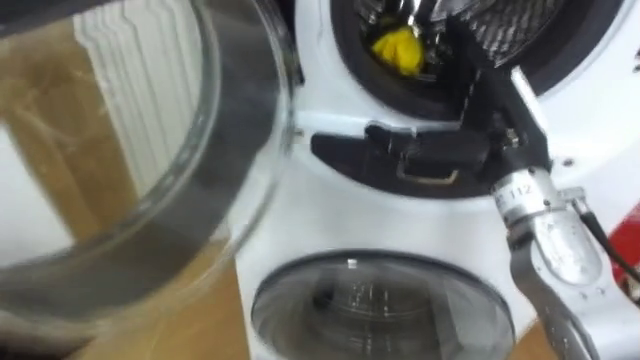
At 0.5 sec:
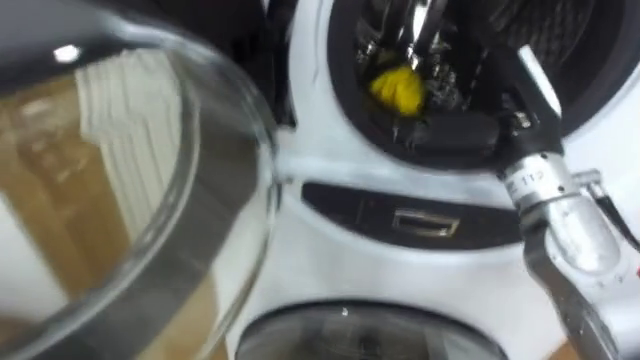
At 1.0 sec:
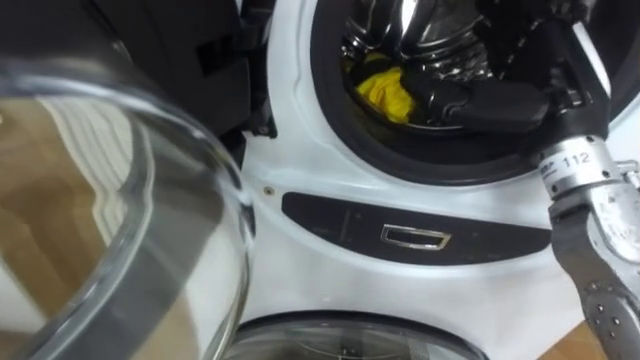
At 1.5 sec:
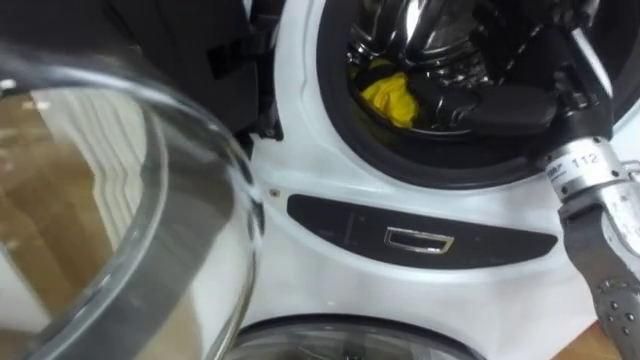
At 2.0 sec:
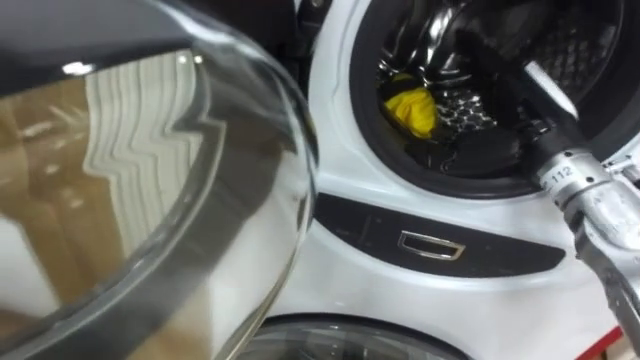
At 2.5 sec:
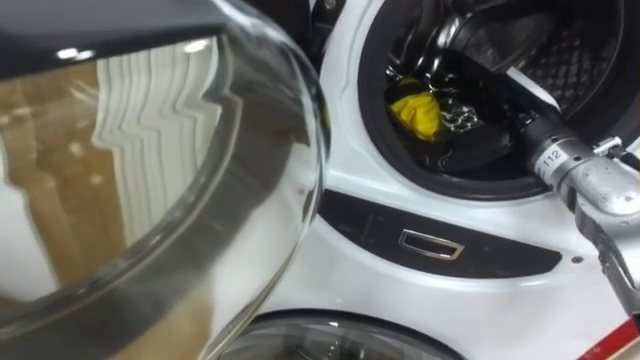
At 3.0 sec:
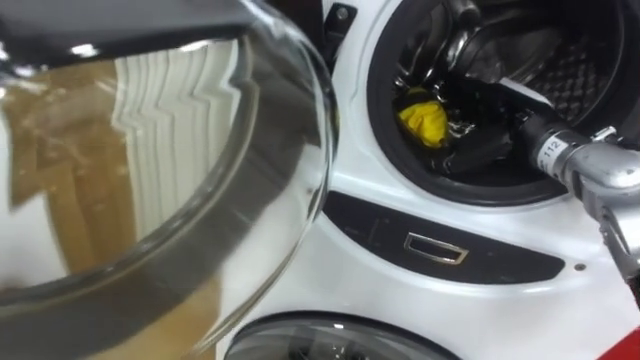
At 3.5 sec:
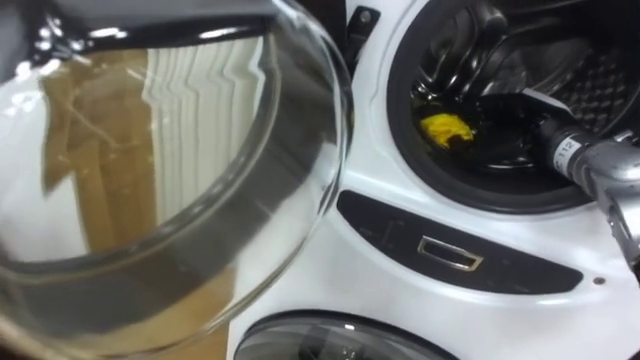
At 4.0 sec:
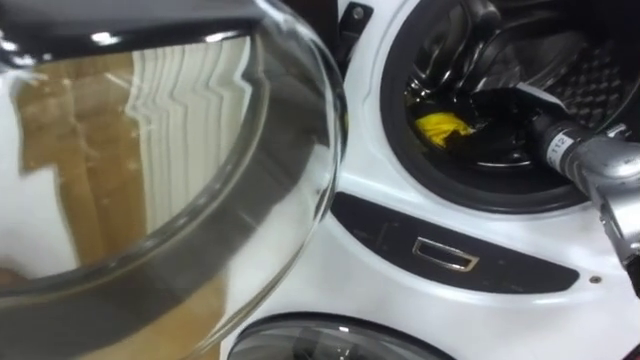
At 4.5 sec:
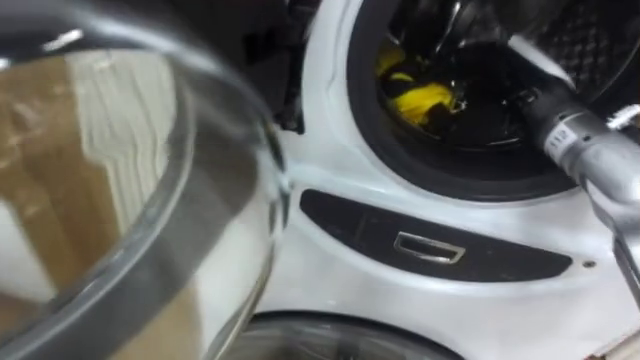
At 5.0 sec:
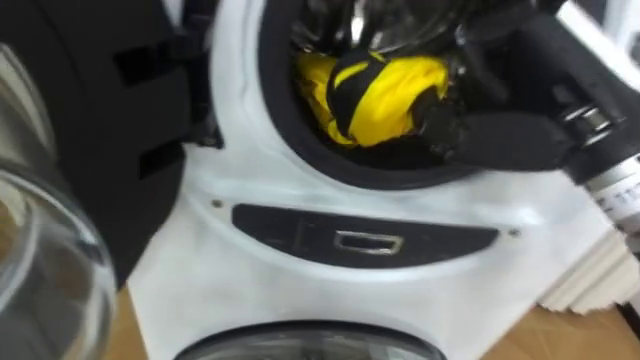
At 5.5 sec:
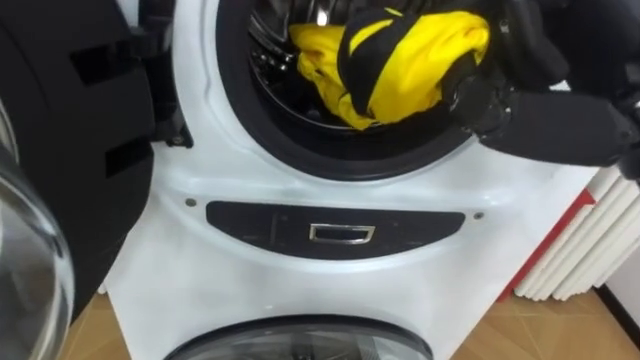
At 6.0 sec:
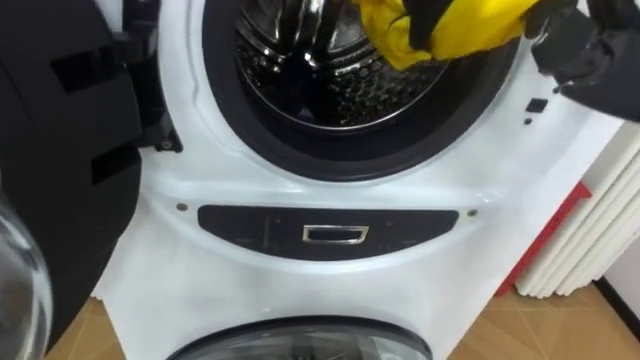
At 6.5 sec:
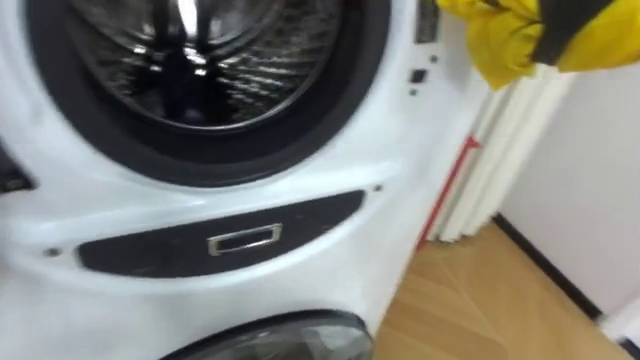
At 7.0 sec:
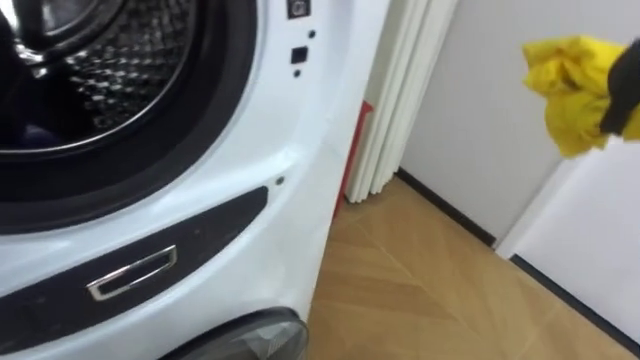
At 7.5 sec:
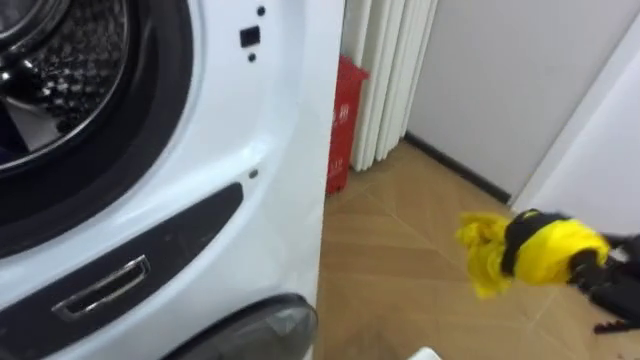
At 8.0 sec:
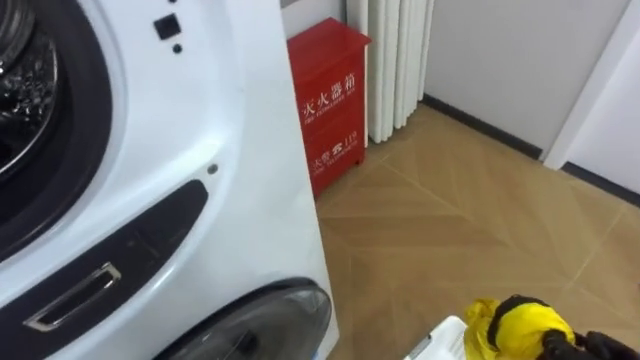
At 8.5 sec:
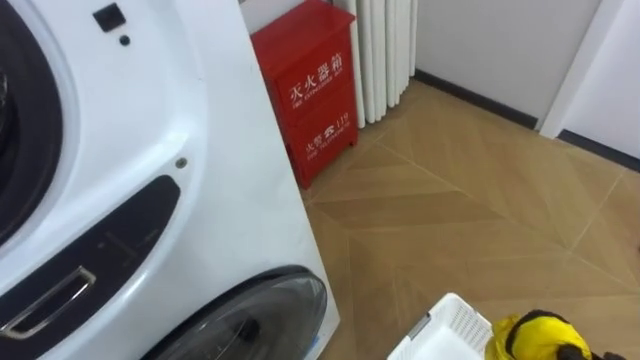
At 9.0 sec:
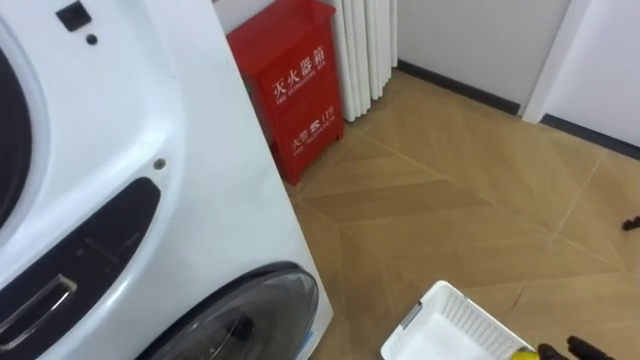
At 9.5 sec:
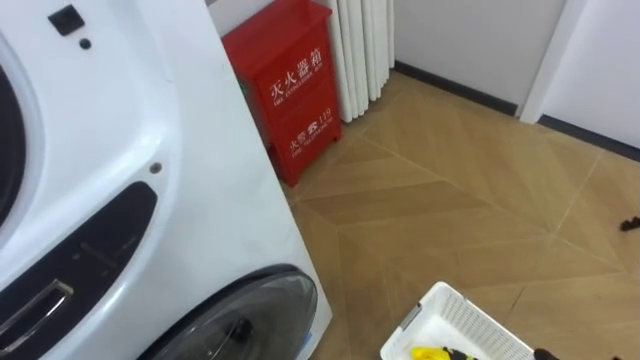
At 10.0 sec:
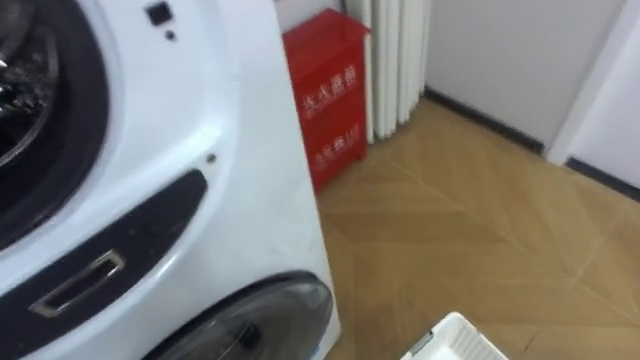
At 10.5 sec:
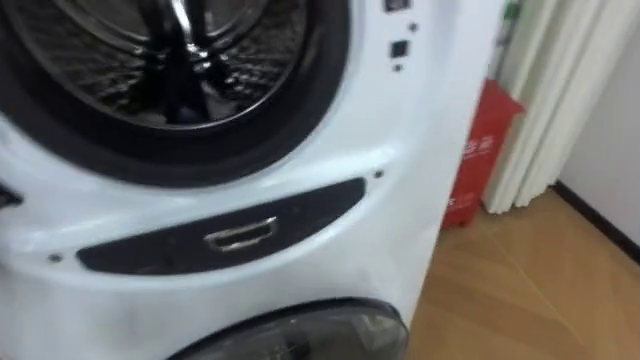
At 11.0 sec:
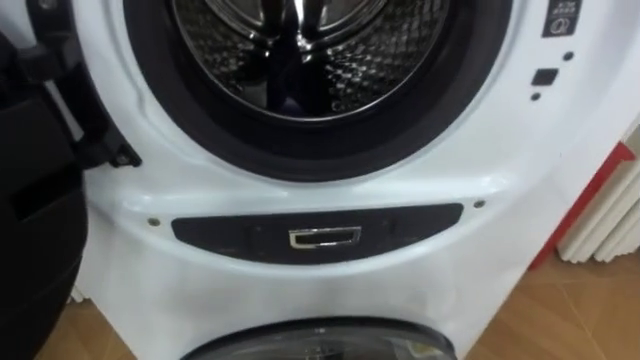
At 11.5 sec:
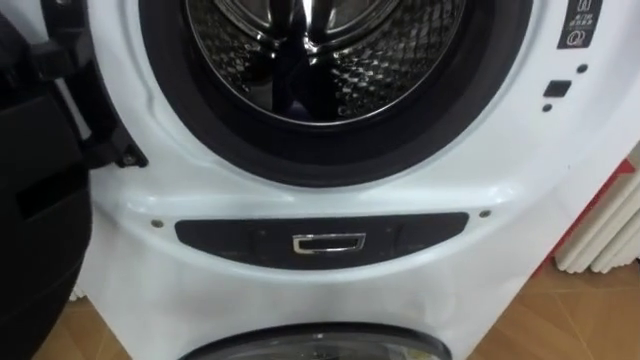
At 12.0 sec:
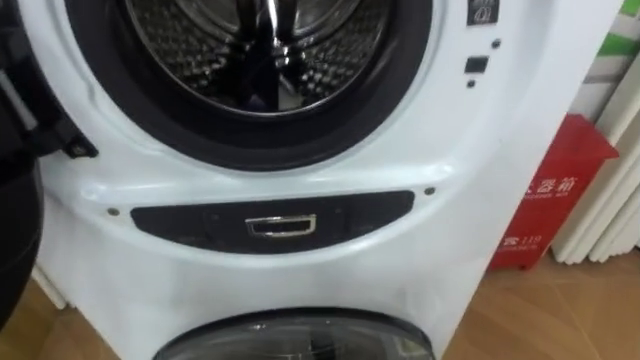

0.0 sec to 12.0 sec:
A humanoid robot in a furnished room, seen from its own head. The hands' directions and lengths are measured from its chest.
Task of the whole recording: Open the washing machine door, take out the yellow clothes, place them in the box on the right, and close the washing machine door.
2.0 sec to 4.0 sec: The right hand travels forward and downward by approximately 10 cm, and closes up.
6.0 sec to 8.0 sec: The robot faces roughly 25 degrees further to its right.

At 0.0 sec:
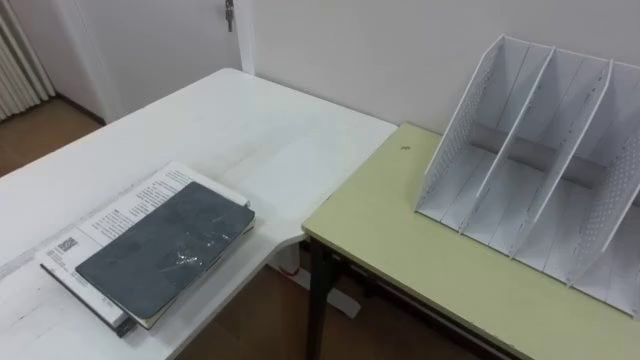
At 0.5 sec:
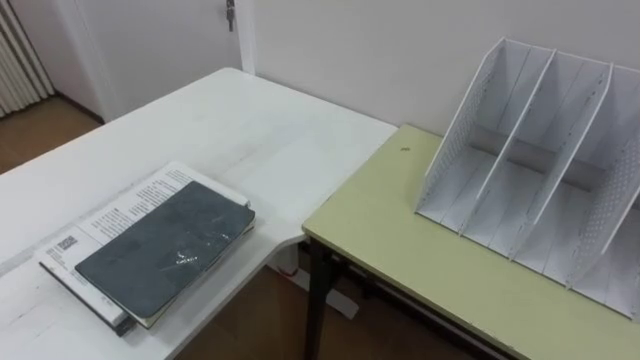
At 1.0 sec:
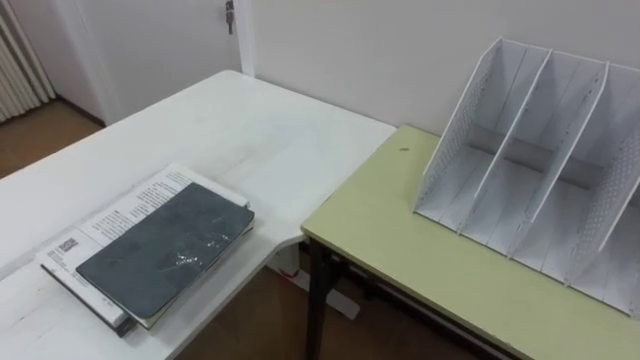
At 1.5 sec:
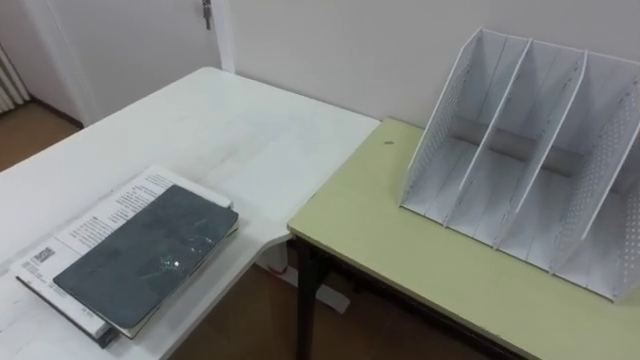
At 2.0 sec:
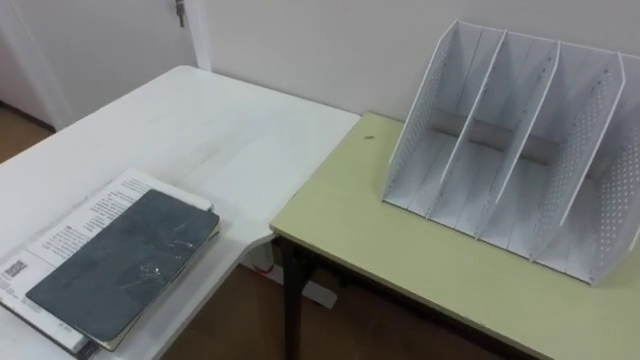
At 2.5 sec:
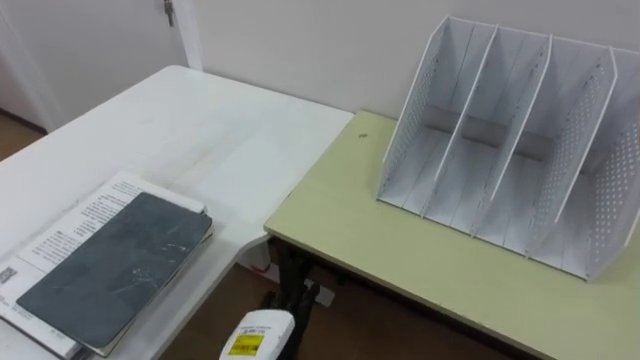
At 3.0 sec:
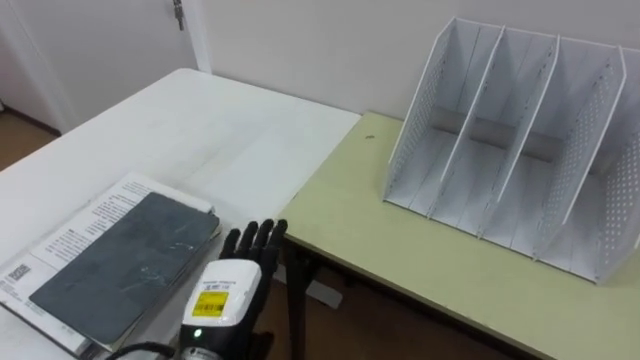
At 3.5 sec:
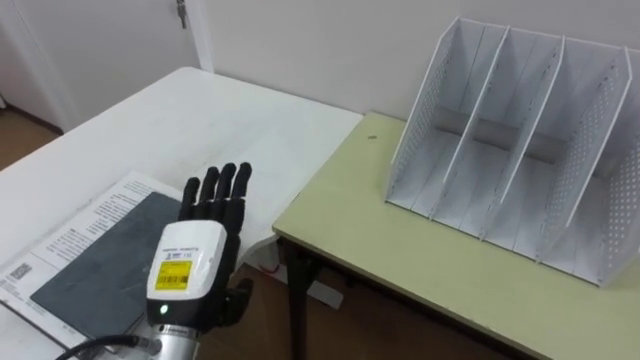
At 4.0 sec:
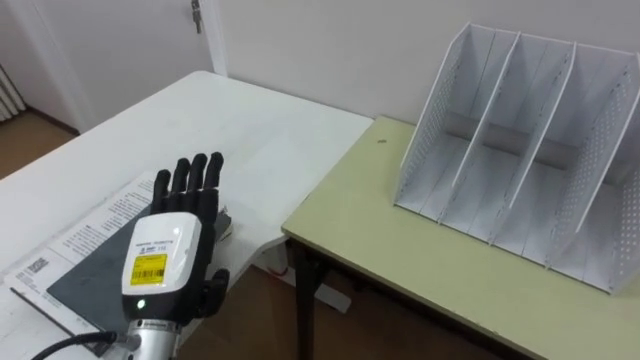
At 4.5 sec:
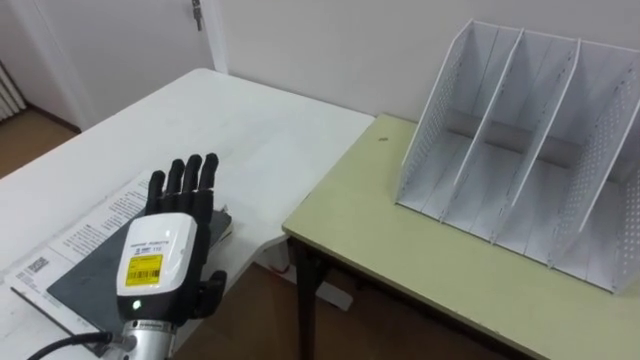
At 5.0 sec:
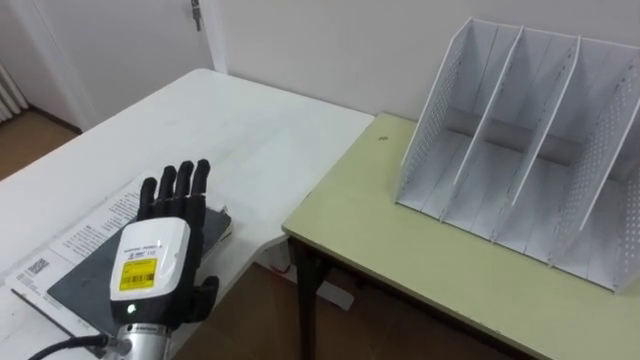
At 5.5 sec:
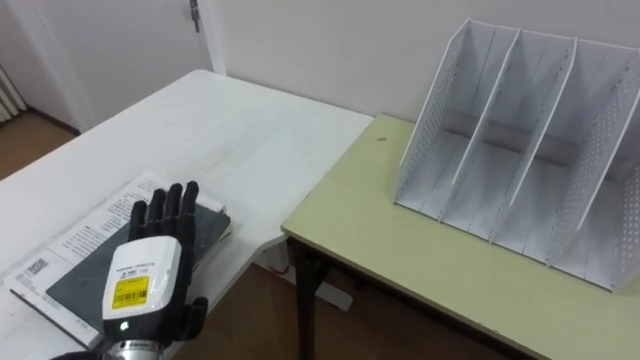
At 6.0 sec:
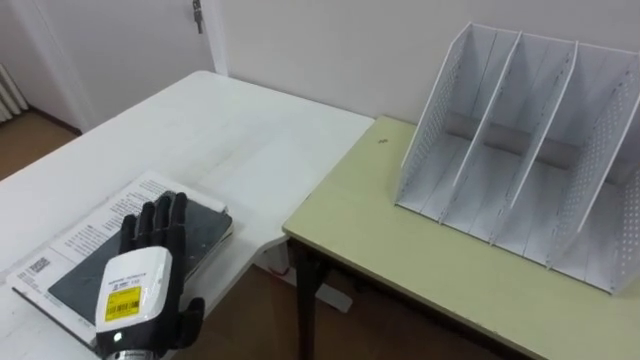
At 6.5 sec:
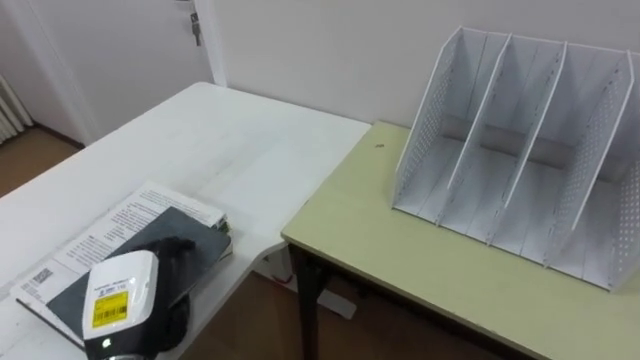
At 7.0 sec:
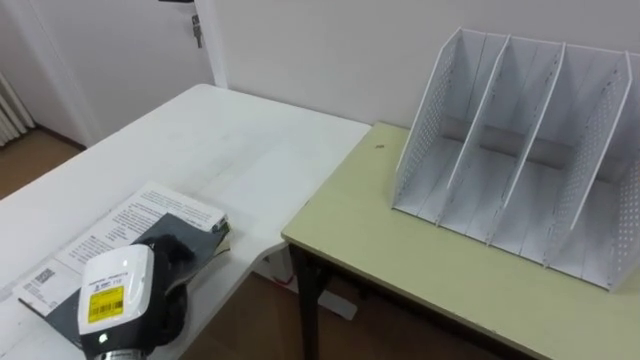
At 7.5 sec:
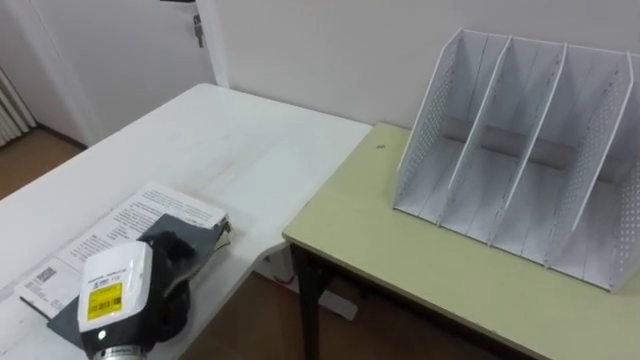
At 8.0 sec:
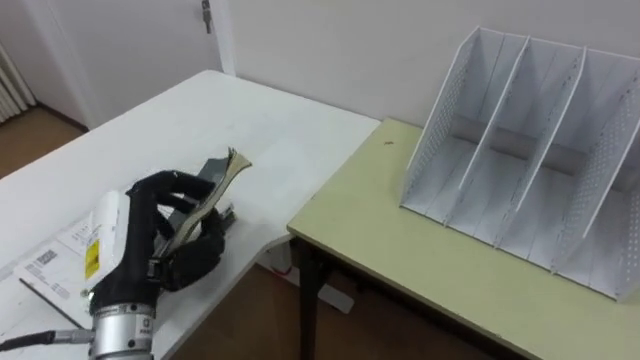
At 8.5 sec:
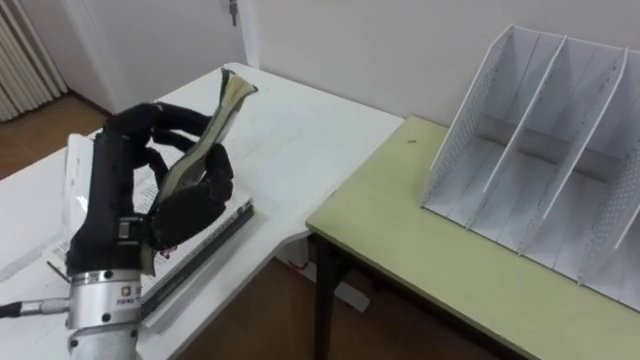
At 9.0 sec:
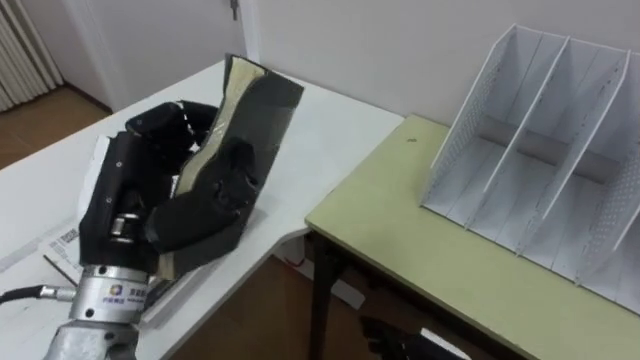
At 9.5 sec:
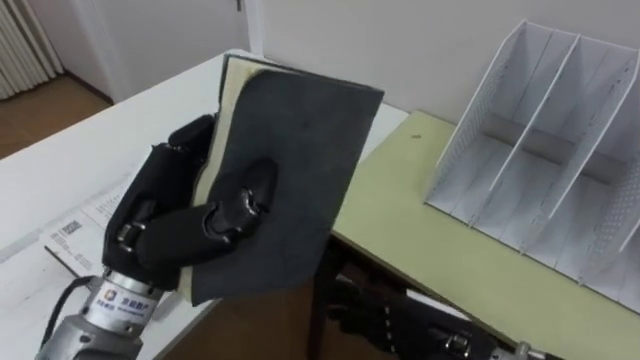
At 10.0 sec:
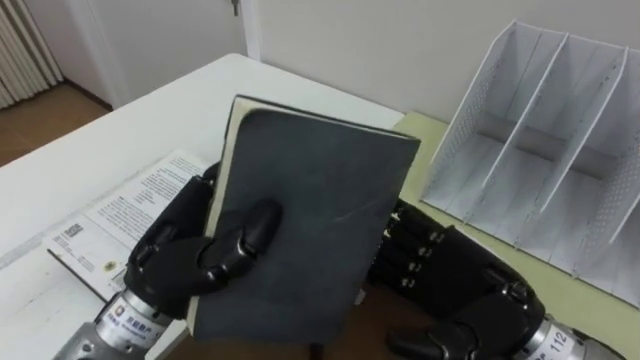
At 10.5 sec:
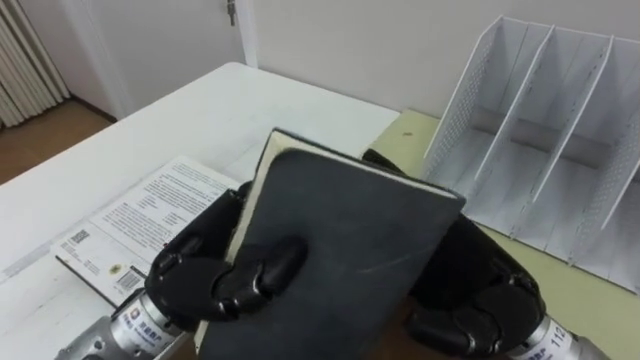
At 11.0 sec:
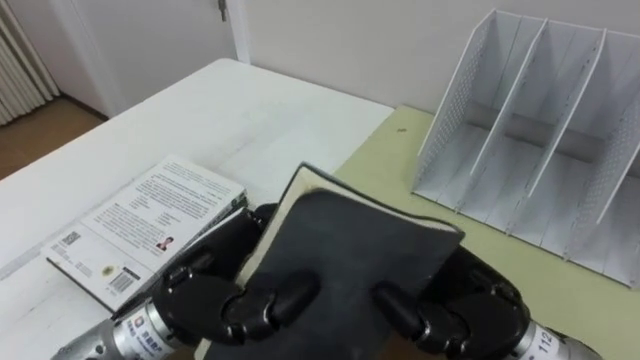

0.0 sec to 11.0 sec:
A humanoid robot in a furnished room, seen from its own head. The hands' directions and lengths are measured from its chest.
Task of the whole recording: Put the books on the table onto the bookshelf.
3.5 sec to 5.5 sec: The left hand shifts approximately 5 cm to the left.
5.5 sec to 7.5 sec: The left hand closes up.
7.5 sec to 9.0 sec: The left hand goes approximately 15 cm upward.
9.0 sec to 11.0 sec: The left hand shifts about 10 cm to the right and downward.
